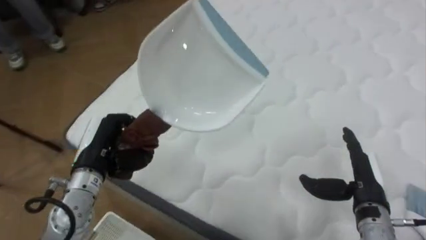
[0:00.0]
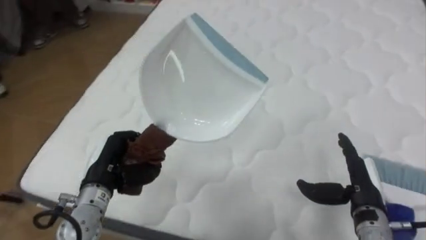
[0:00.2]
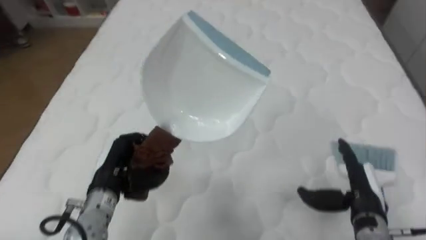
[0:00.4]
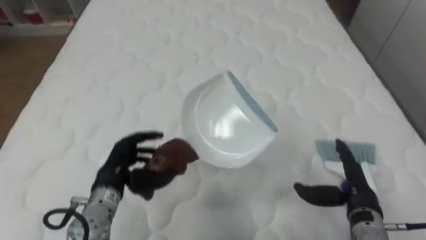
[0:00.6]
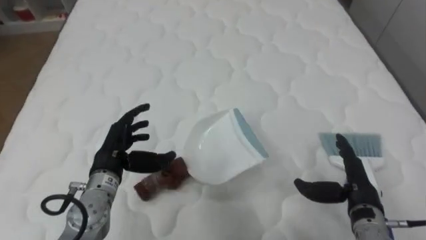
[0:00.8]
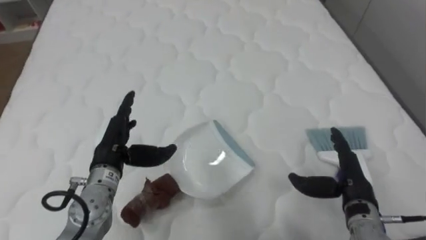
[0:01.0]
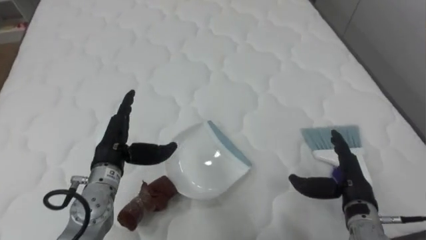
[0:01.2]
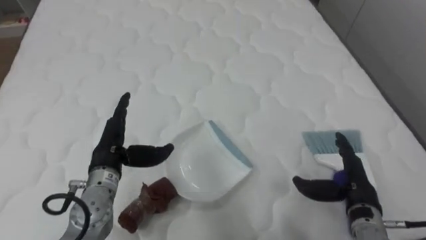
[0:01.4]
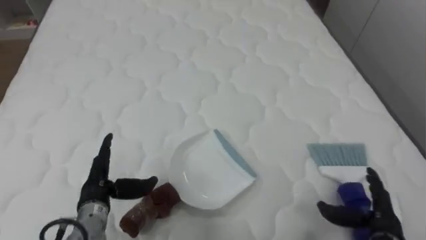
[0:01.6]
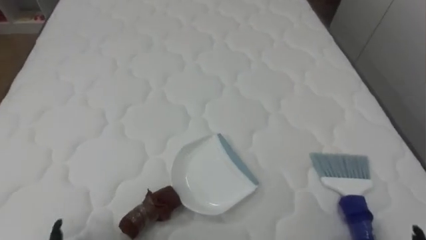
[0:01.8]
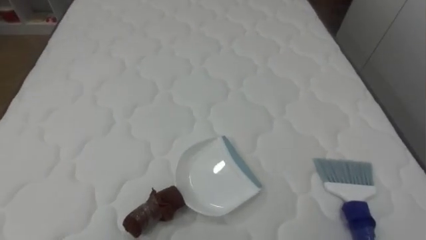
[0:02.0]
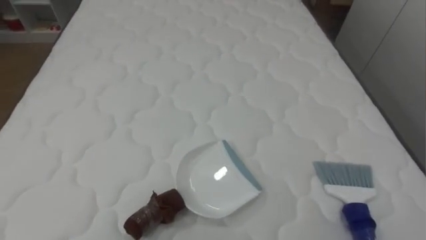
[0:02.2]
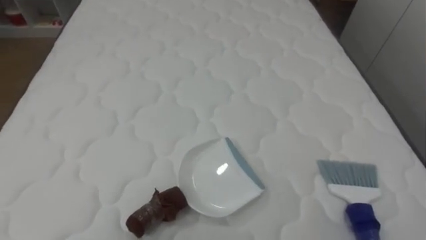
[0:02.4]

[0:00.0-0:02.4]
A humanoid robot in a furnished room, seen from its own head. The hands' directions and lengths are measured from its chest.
Task of the whole recording: Pick up the brush on your right and the dustpan on your left. Use the brush to sweep the crumpled paper on the bed into the dustpan, then turn left and empty it into the basket.
0:00.0 to 0:01.2: The robot's body swings about 40 degrees to its right. The left hand opens its fingers.

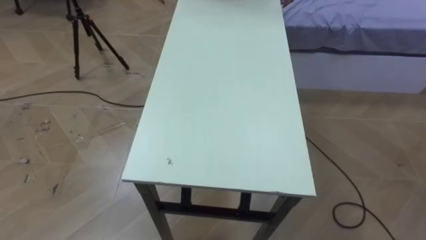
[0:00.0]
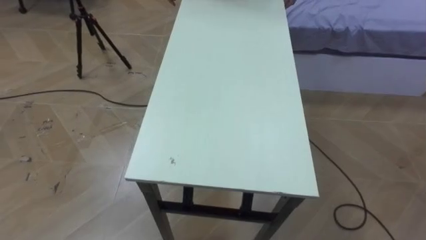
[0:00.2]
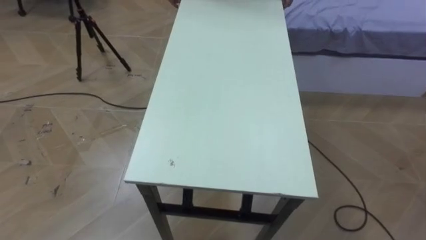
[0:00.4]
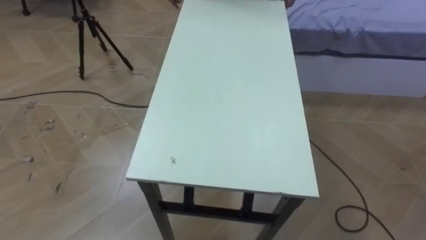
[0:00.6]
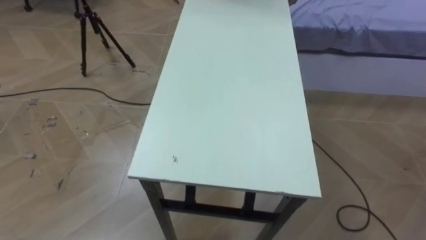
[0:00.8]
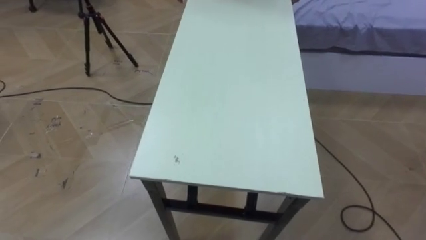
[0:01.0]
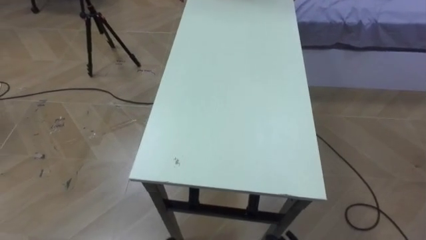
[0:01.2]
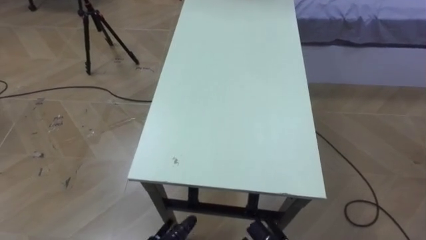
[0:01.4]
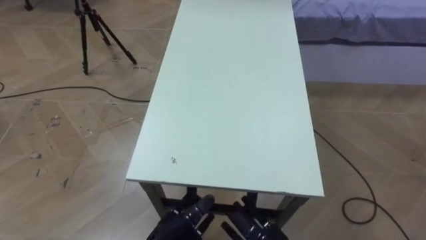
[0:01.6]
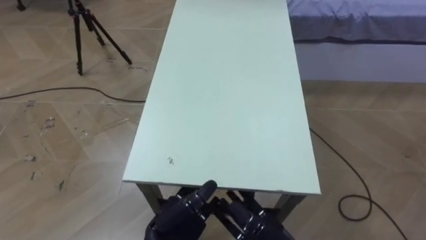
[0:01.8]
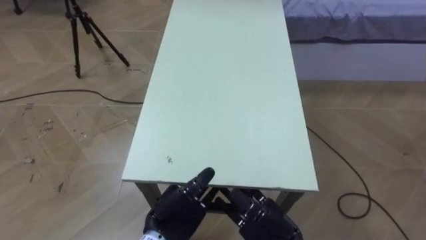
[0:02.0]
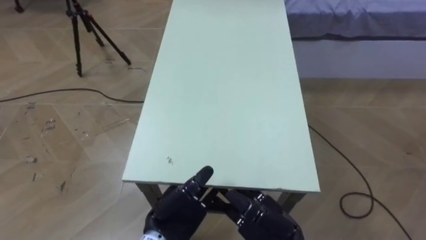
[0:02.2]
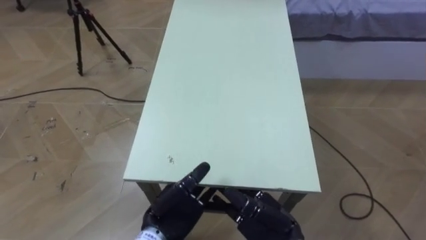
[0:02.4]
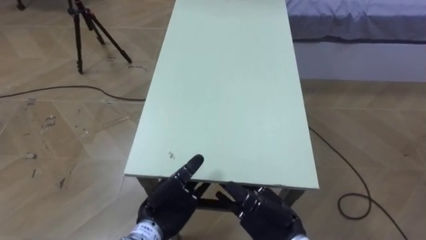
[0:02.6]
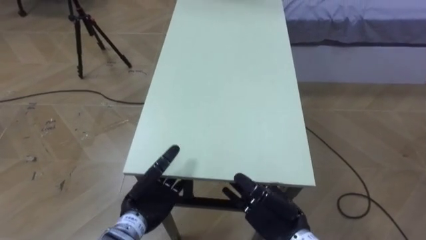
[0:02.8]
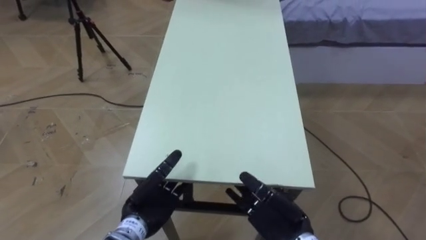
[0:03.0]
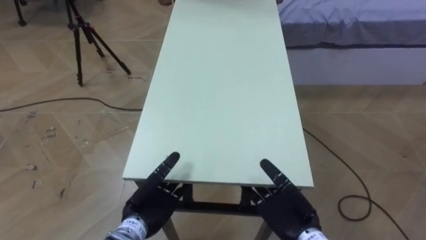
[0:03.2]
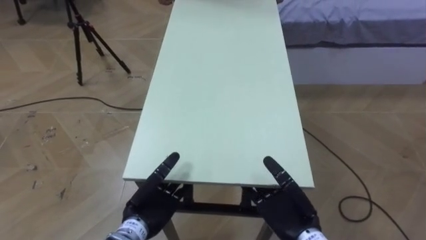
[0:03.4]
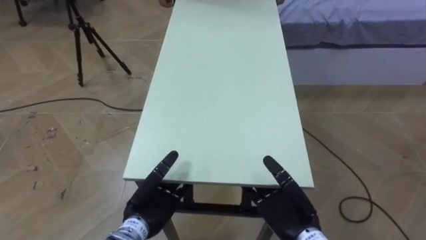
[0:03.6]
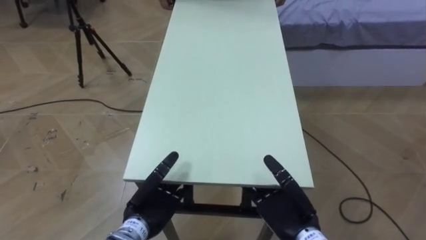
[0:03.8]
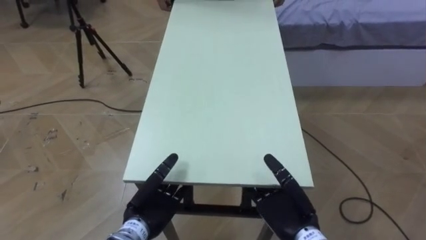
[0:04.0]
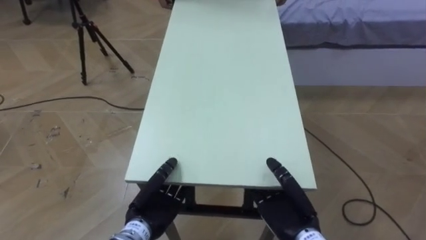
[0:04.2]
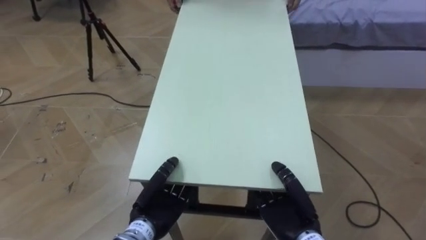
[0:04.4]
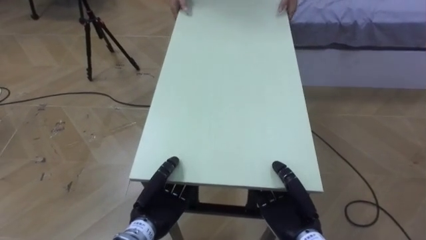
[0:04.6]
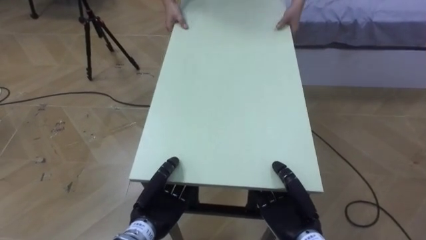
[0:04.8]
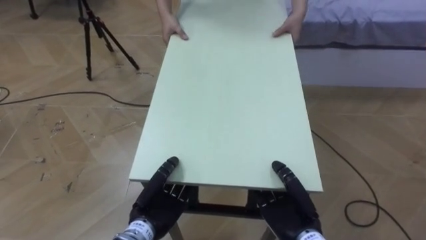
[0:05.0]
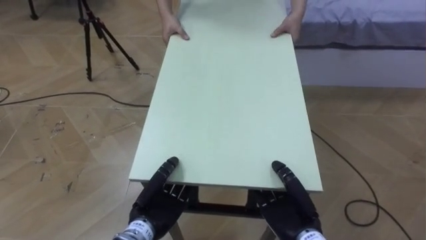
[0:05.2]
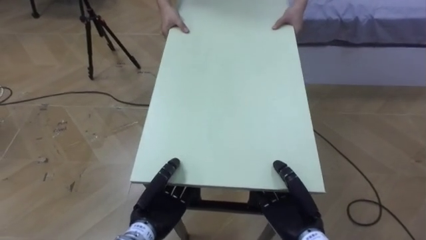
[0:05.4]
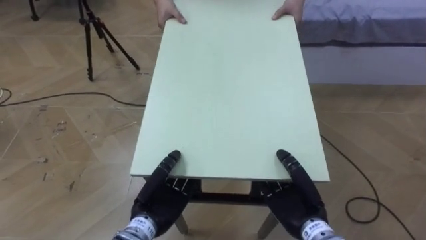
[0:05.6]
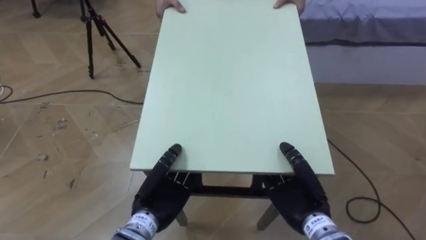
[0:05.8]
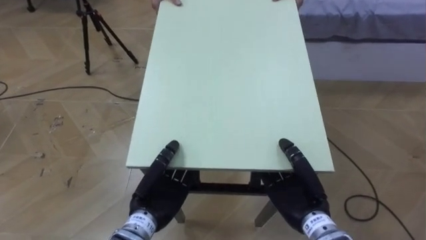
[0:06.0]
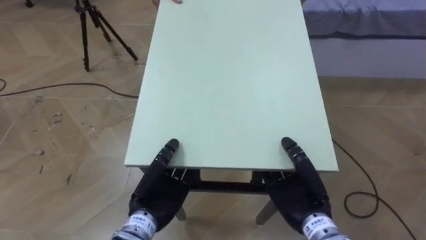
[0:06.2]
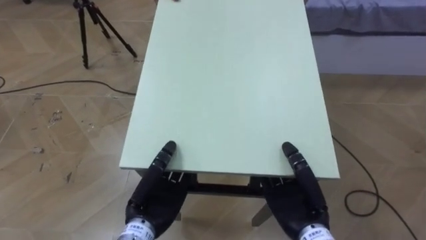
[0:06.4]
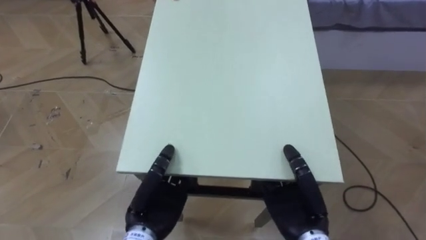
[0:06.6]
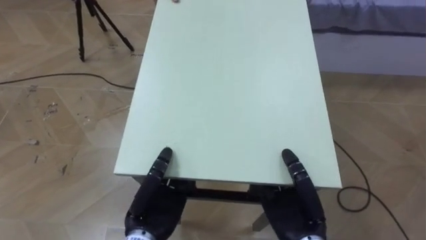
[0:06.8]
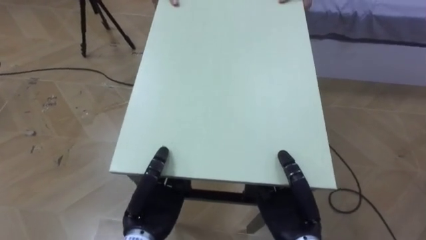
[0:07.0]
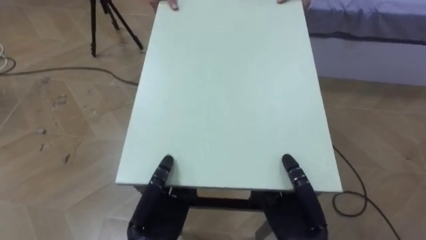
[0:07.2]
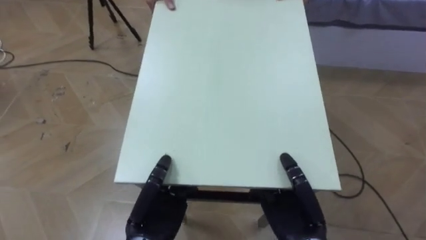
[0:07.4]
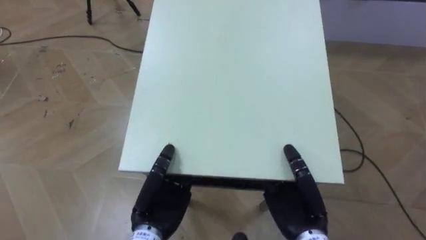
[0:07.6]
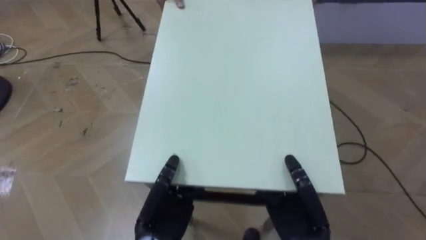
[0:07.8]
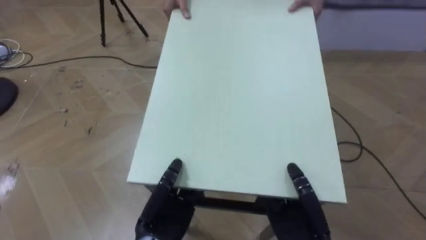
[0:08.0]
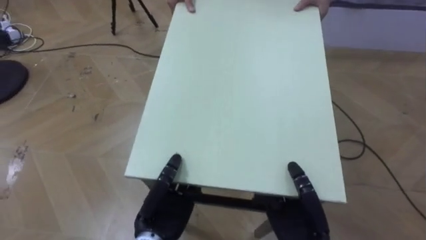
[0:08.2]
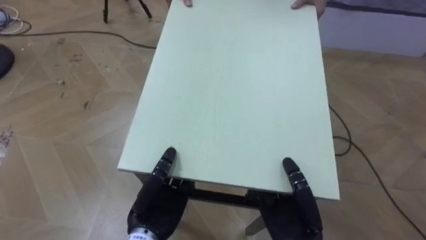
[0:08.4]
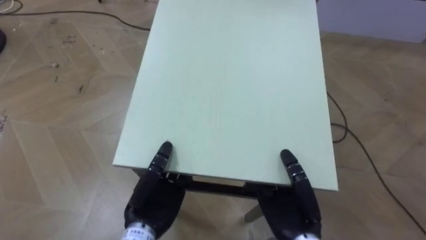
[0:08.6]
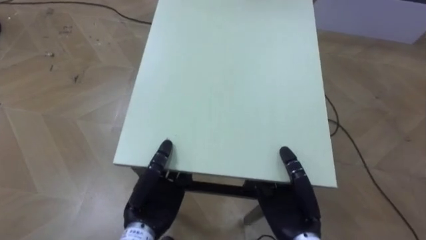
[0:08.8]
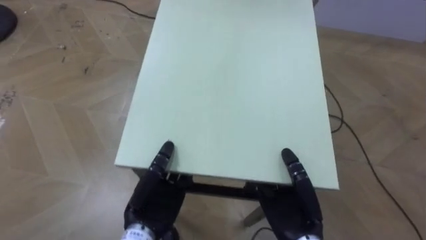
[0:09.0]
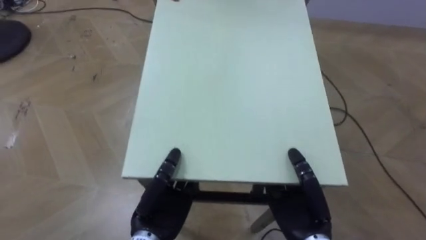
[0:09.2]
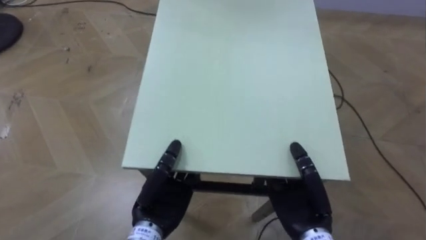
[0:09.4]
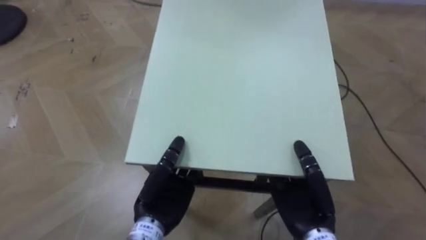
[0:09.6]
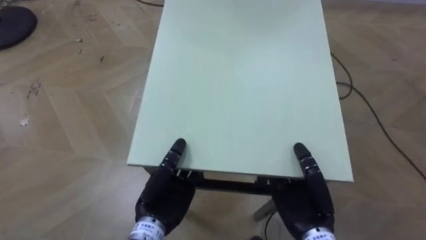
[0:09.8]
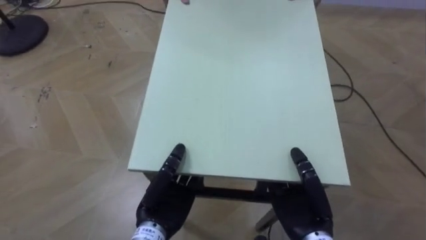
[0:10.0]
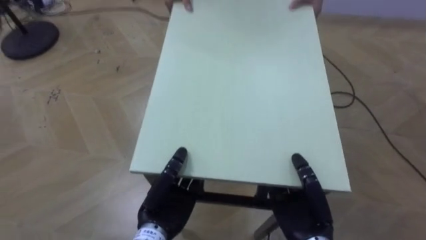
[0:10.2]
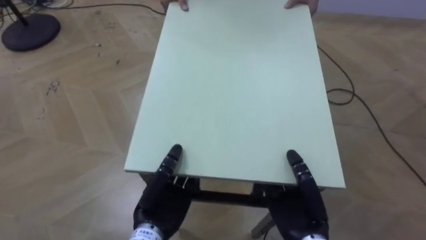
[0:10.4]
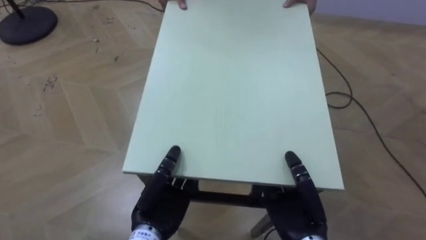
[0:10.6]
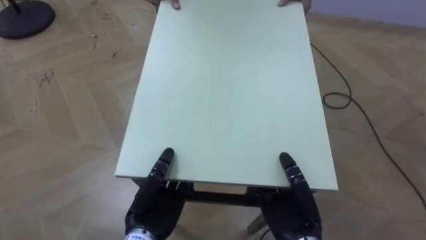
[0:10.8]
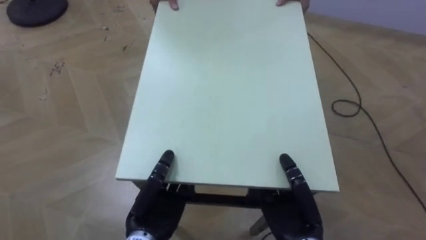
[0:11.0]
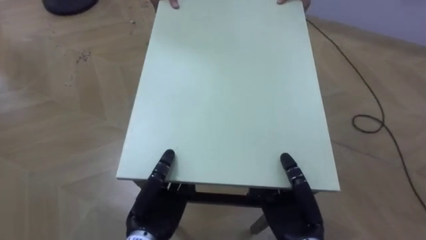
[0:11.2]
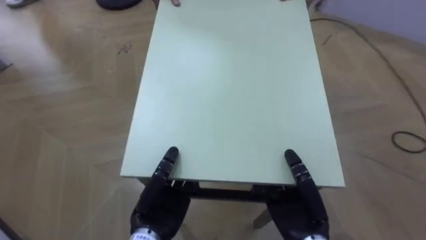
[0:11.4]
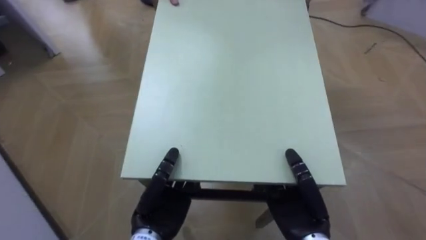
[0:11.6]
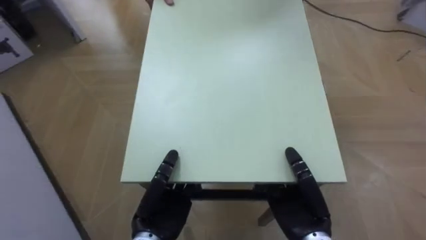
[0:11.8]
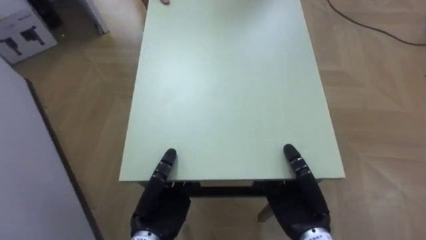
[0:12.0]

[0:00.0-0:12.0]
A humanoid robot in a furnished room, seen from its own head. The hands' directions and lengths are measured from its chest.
Task of the whole recording: Move the table to the back left with someone.
0:01.6 to 0:03.0: The left hand is displaced forward by about 5 cm.
0:03.0 to 0:04.4: The right hand closes its fingers; the left hand closes its fingers.
0:04.4 to 0:06.0: The right hand changes place by some 5 cm.
0:10.4 to 0:12.0: The robot turns to its left by approximately 35 degrees.

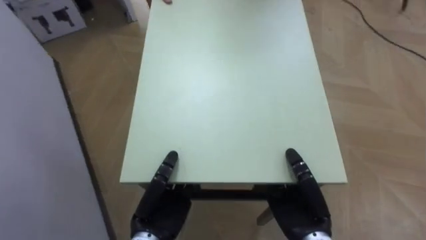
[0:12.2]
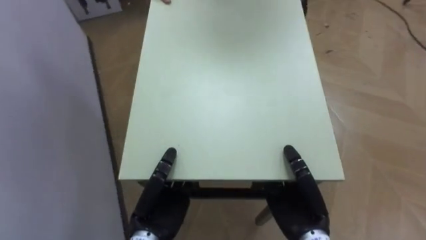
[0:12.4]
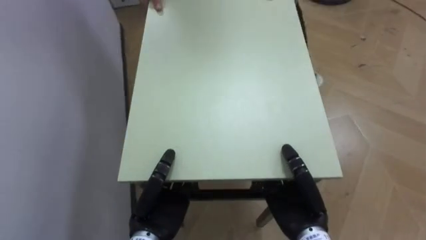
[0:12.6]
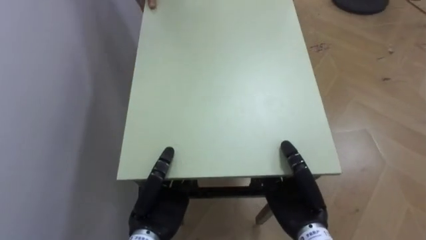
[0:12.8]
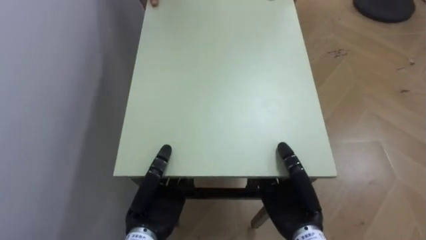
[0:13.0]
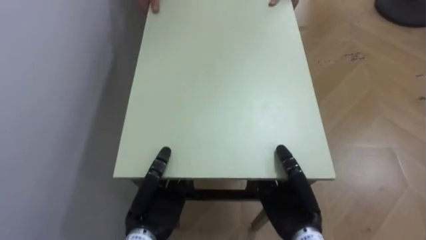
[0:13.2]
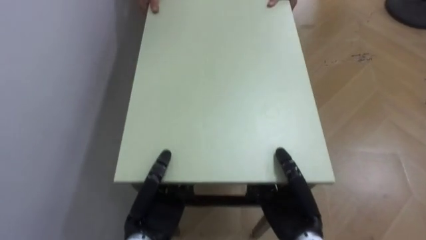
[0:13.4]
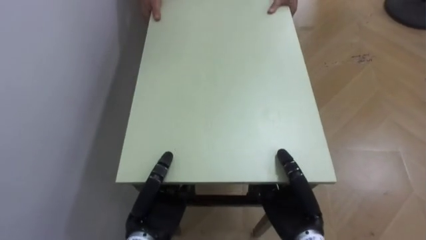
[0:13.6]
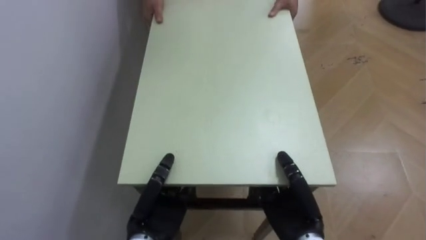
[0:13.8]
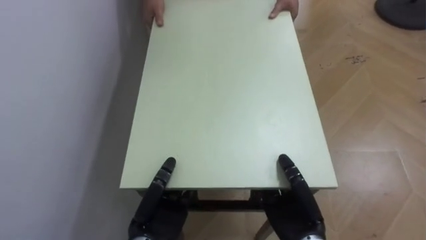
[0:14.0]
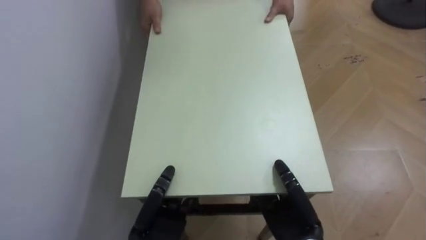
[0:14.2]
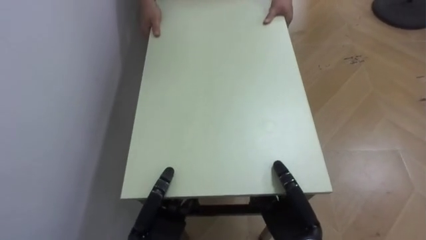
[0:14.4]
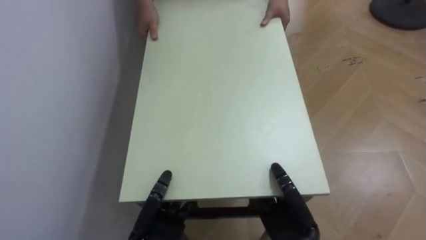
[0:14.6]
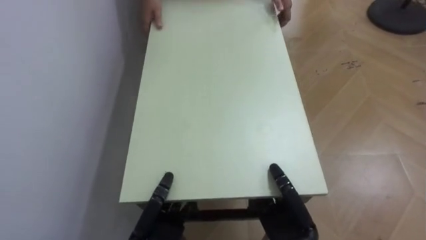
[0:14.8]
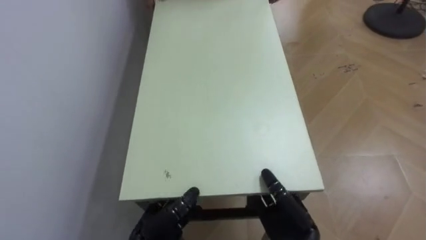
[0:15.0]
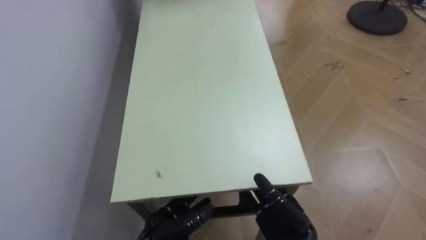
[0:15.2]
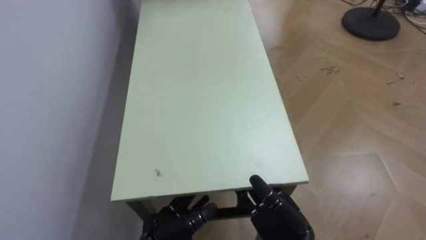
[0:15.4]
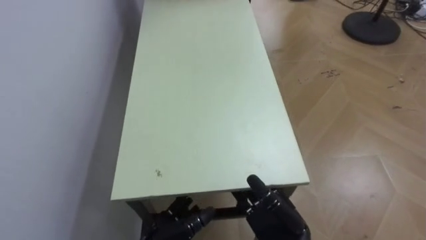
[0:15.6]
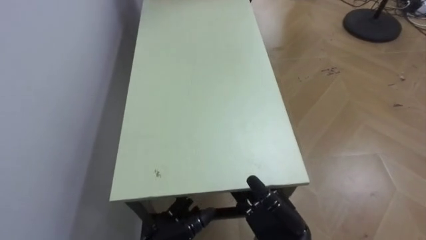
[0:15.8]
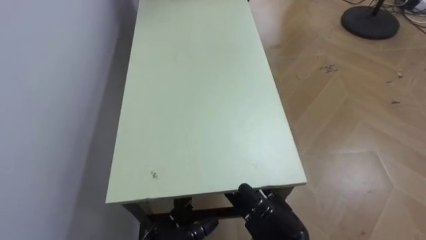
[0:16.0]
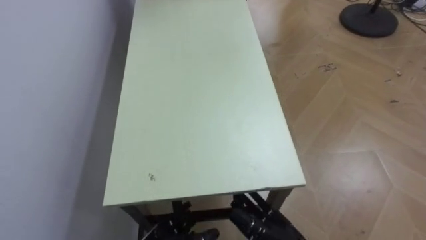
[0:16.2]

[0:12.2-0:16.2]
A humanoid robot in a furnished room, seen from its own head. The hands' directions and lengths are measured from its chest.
Task of the whole recording: Move the table to the back left with someone.
0:12.2 to 0:13.6: The robot turns to its left by some 35 degrees.
0:13.6 to 0:14.8: The left hand shifts roughly 5 cm downward.
0:14.8 to 0:16.2: The right hand opens.
